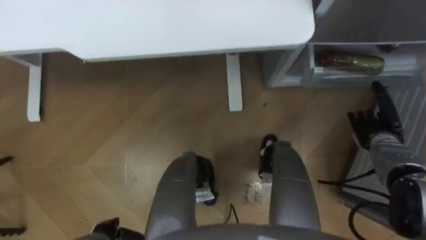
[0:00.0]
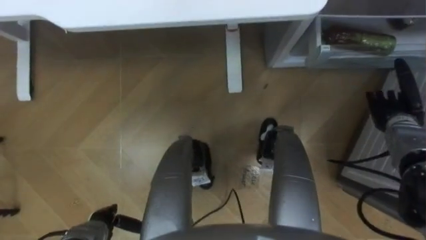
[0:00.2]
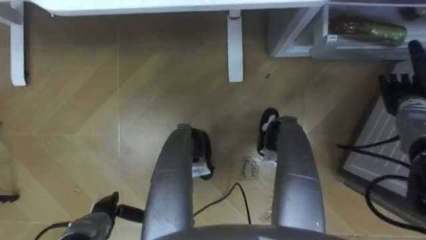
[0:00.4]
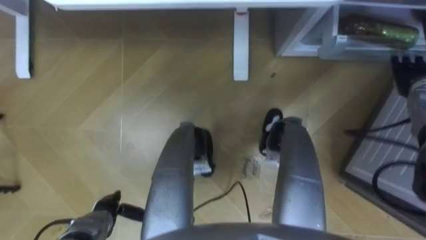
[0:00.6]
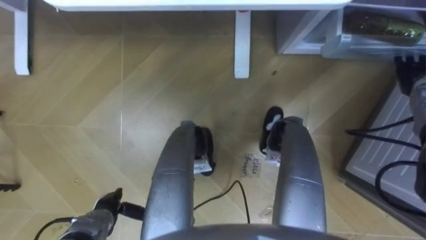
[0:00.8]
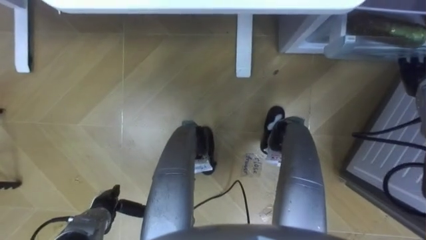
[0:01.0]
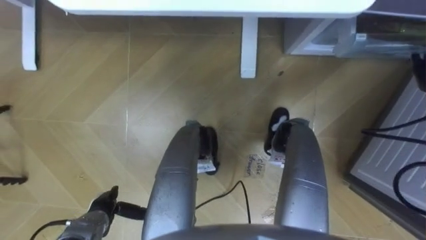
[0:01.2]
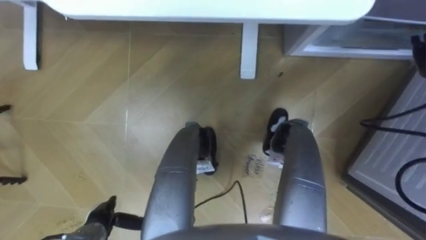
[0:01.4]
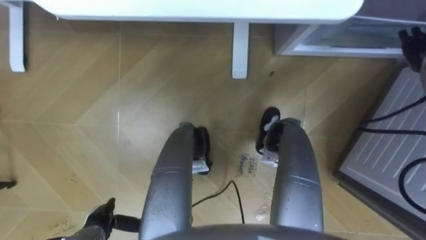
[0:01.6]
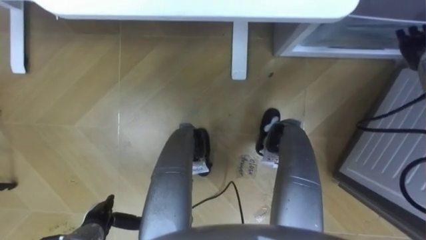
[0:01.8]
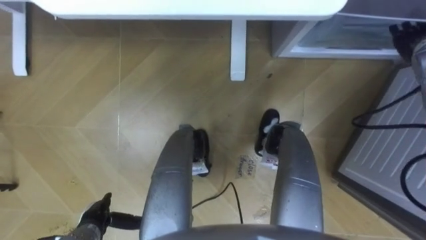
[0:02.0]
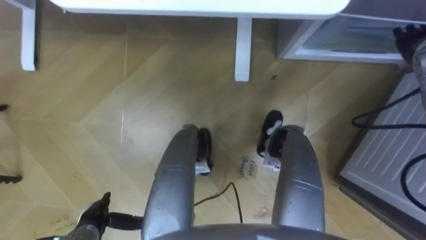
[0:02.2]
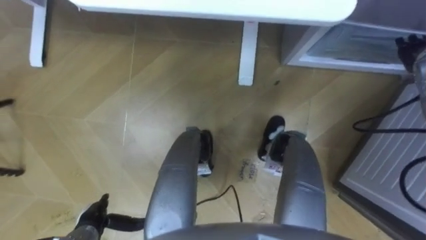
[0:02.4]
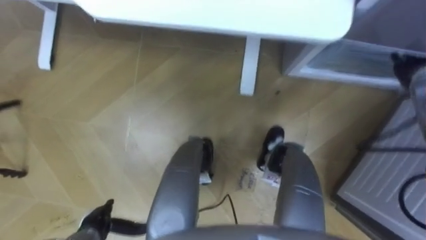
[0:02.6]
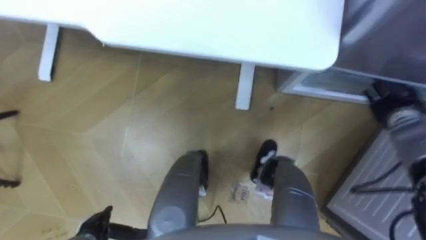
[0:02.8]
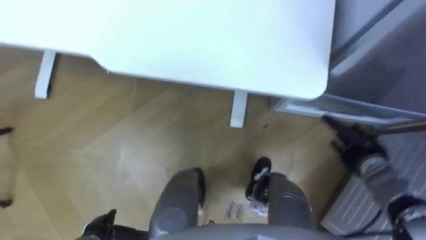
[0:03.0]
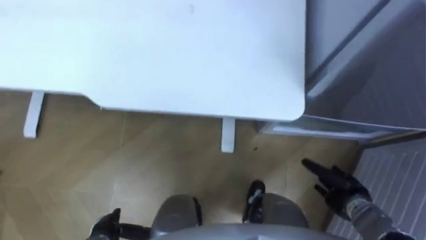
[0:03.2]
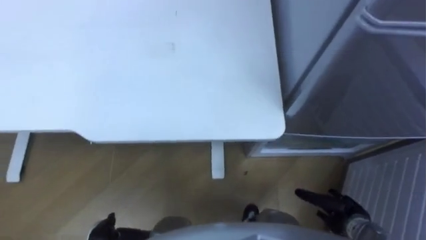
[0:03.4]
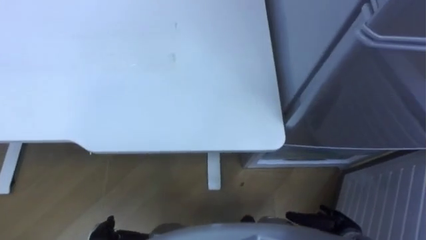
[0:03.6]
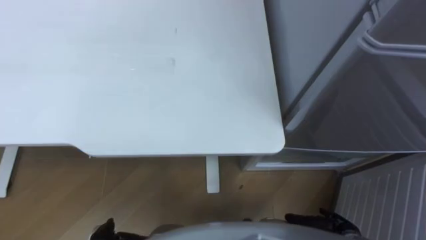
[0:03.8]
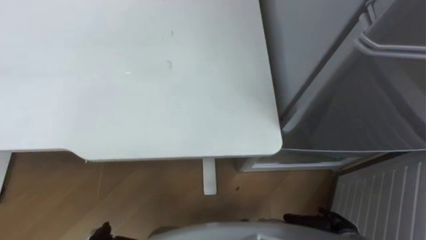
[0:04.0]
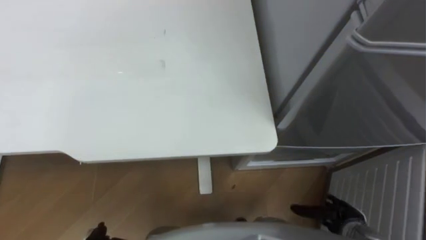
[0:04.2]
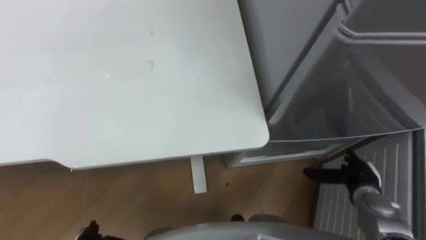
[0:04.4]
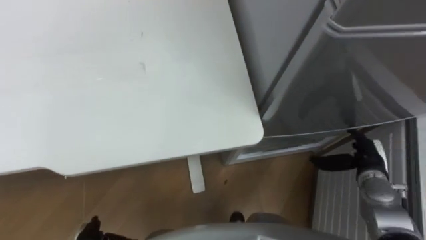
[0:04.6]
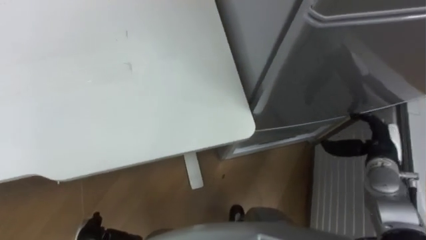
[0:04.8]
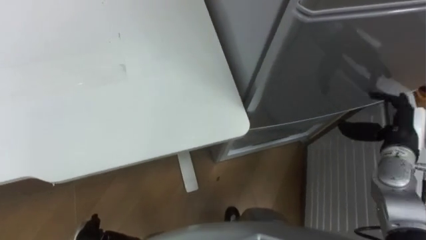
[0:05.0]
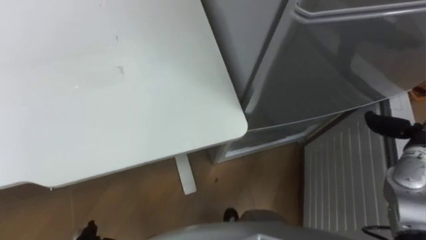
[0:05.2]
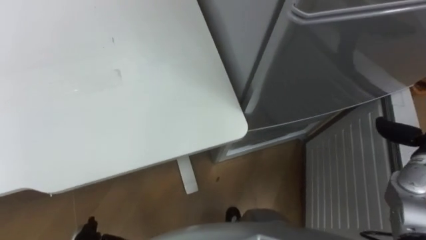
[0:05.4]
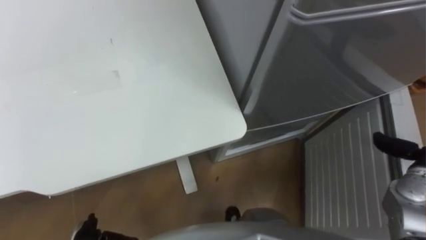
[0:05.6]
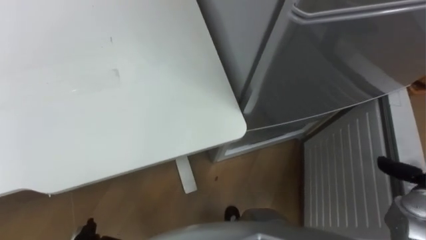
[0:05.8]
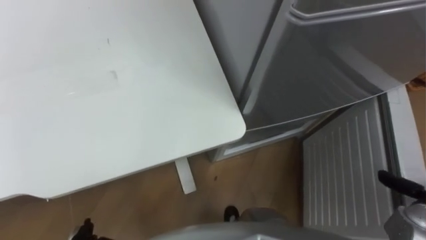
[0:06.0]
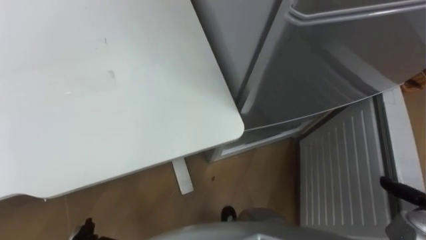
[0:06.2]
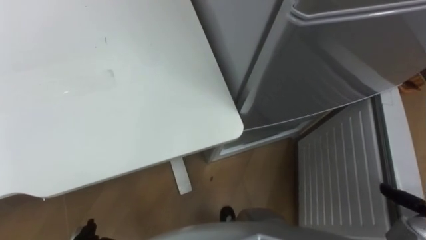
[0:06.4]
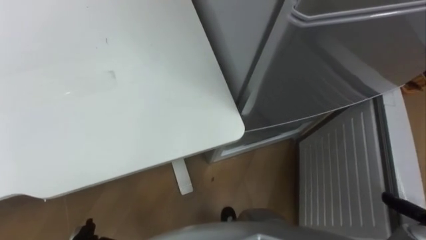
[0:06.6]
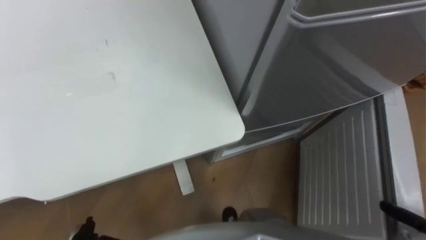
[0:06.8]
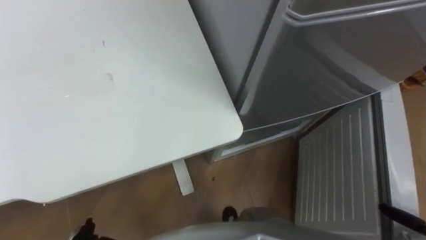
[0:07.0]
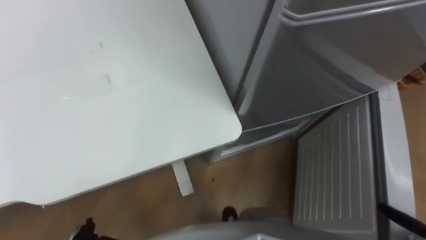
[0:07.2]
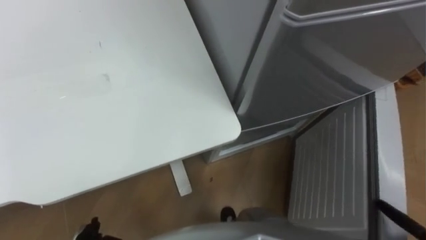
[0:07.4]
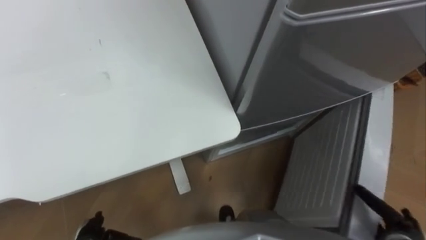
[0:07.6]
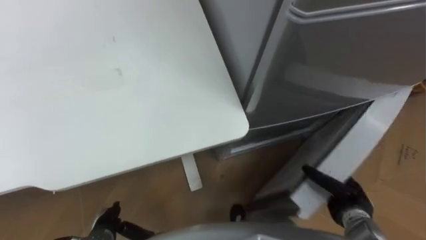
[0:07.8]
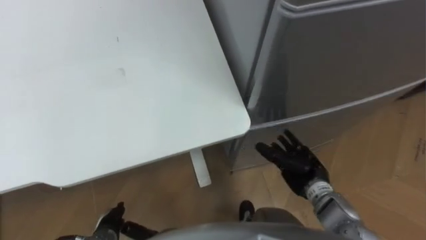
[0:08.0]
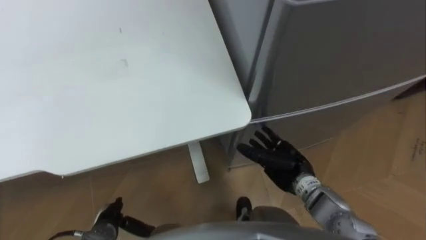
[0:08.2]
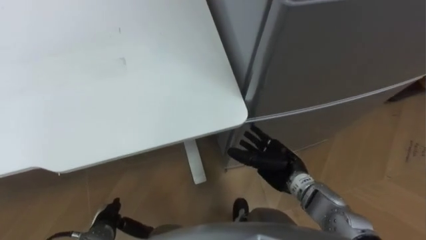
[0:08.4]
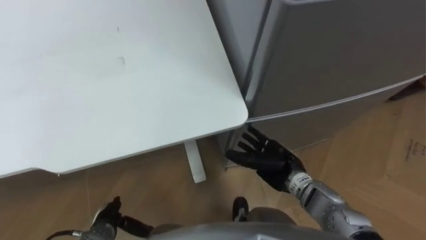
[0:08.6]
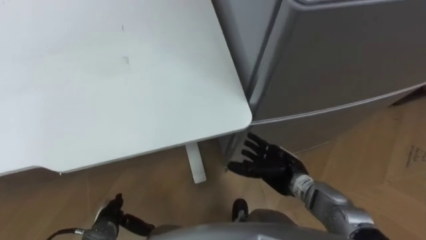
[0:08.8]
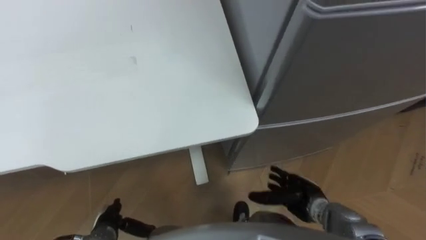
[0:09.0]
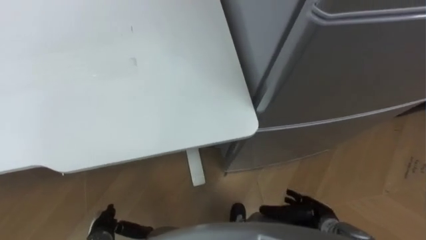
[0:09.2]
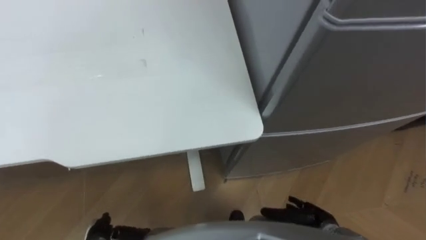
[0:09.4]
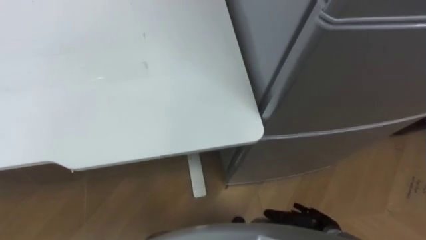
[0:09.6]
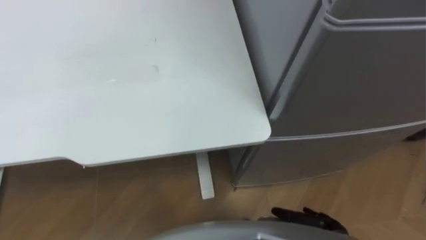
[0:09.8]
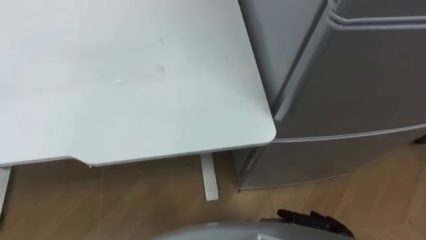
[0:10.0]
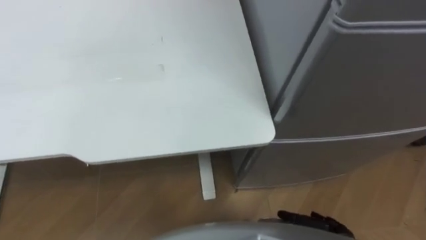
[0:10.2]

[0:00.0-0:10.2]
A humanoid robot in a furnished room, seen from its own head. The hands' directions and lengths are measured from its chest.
Task of the whole recording: Place the drink on the table on the bottom shelf of the refrigerator, then close the drawer and the refrigerator door.
0:03.0 to 0:04.4: The right hand shifts about 5 cm backward.
0:04.4 to 0:05.8: The right hand is displaced to the right and upward by some 15 cm.
0:08.8 to 0:10.2: The right hand heads backward, to the right and downward, covering some 20 cm.

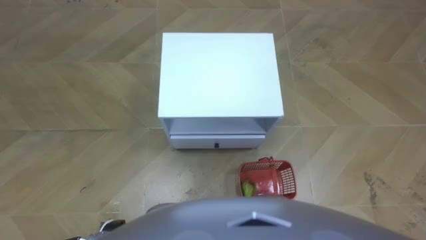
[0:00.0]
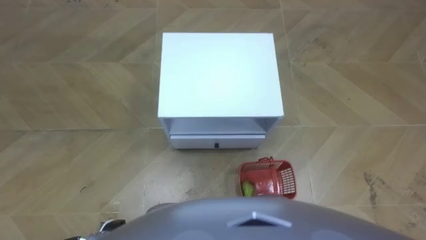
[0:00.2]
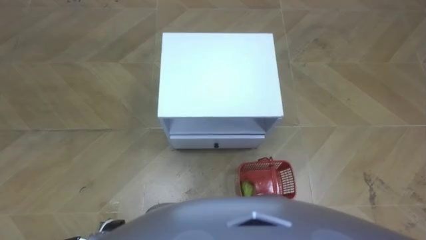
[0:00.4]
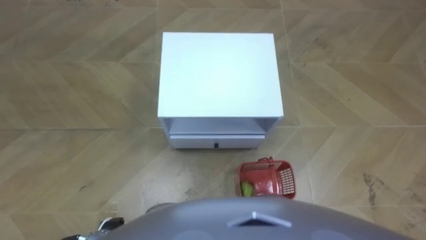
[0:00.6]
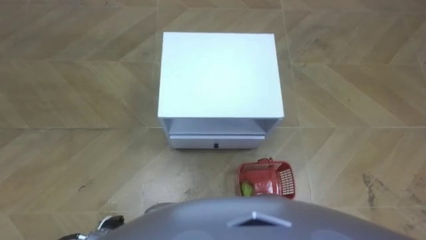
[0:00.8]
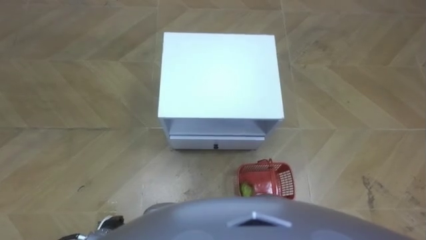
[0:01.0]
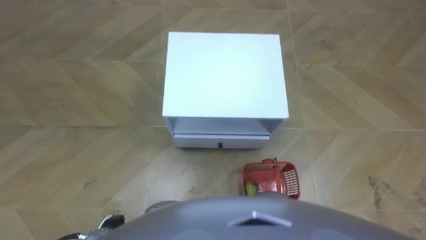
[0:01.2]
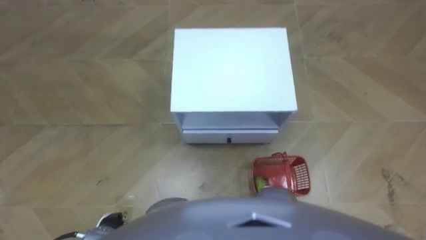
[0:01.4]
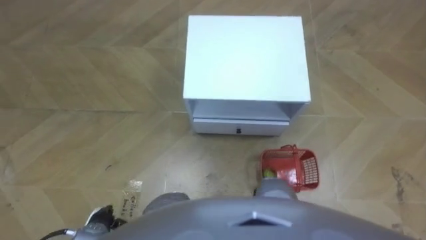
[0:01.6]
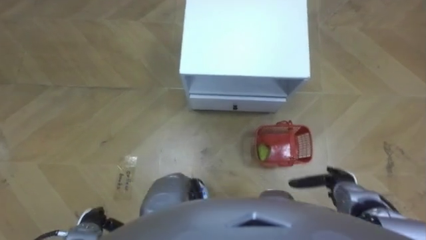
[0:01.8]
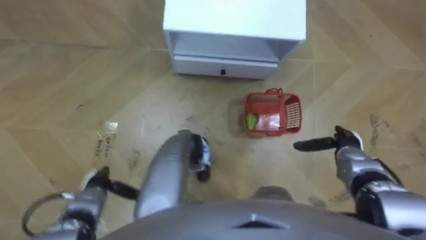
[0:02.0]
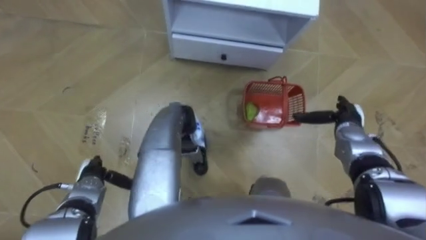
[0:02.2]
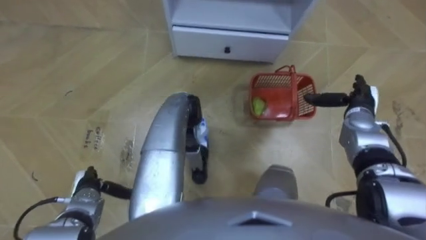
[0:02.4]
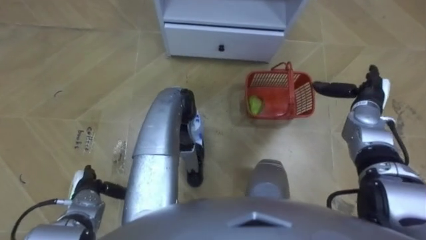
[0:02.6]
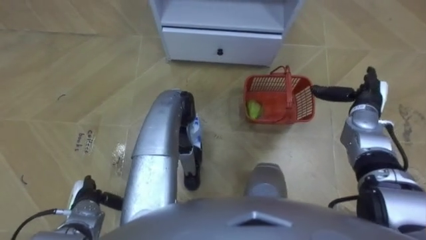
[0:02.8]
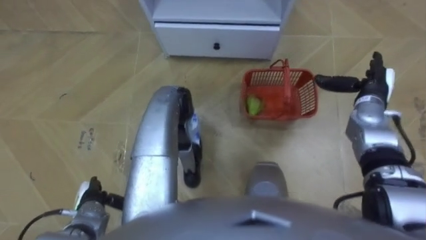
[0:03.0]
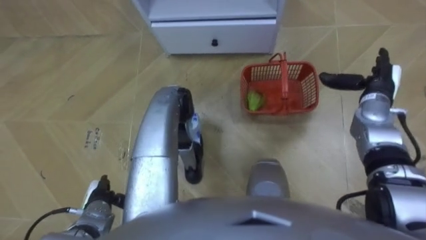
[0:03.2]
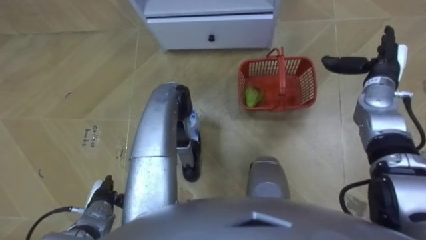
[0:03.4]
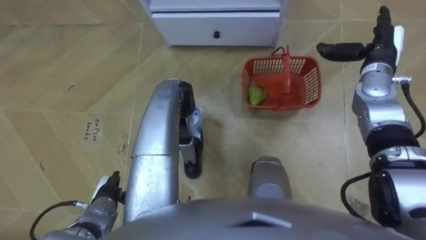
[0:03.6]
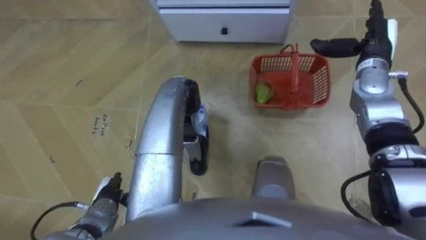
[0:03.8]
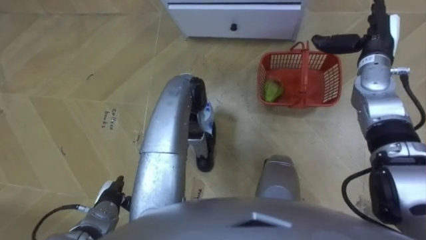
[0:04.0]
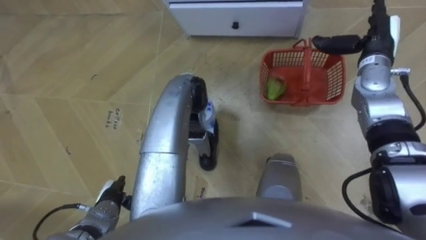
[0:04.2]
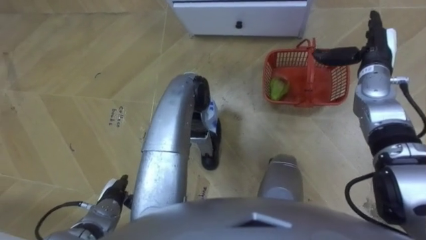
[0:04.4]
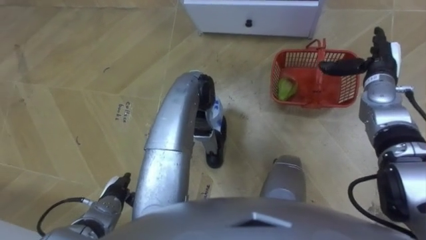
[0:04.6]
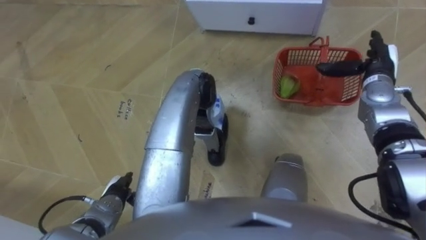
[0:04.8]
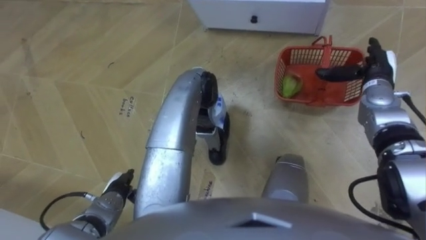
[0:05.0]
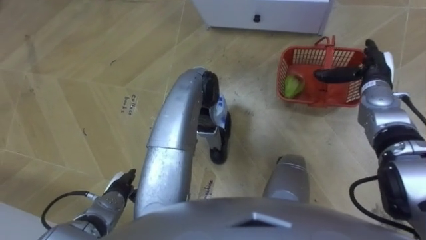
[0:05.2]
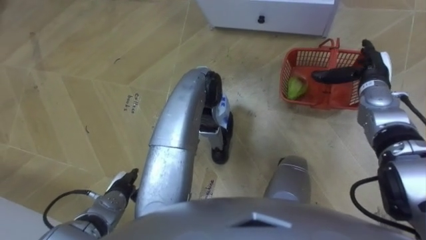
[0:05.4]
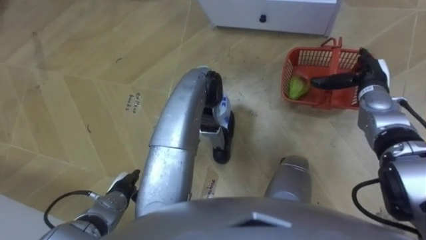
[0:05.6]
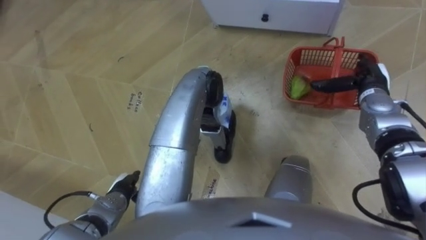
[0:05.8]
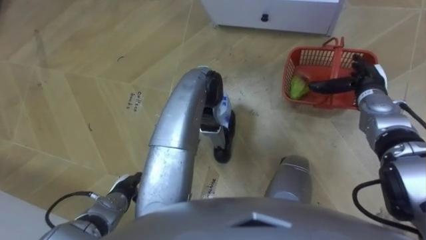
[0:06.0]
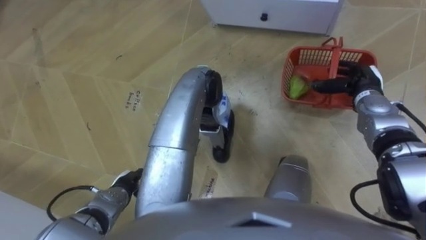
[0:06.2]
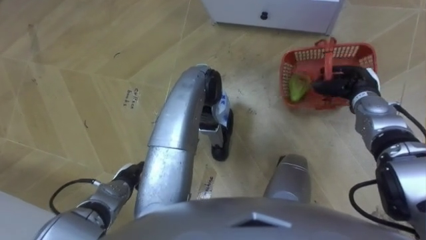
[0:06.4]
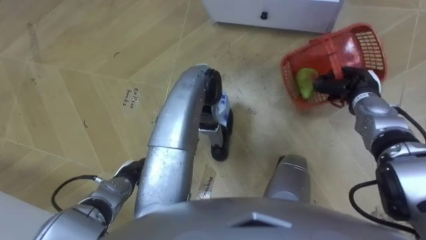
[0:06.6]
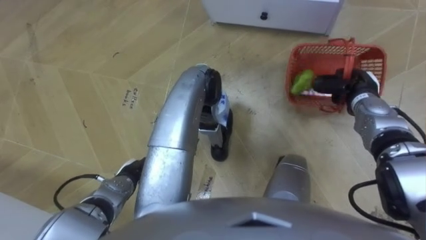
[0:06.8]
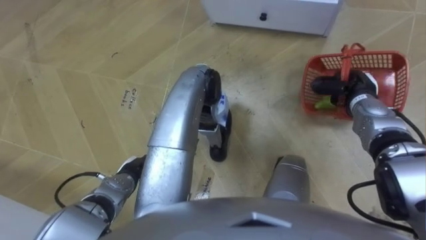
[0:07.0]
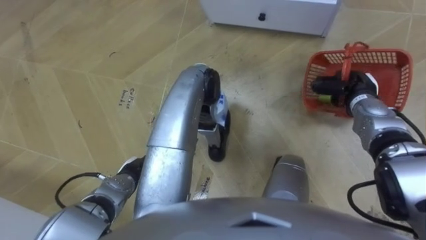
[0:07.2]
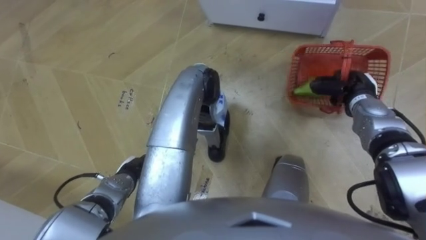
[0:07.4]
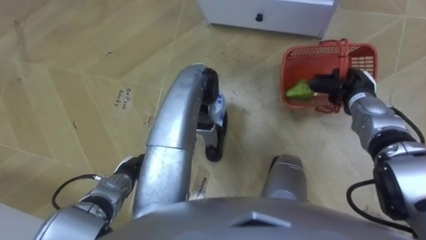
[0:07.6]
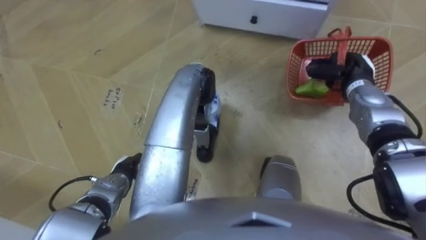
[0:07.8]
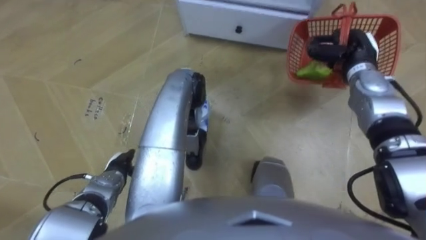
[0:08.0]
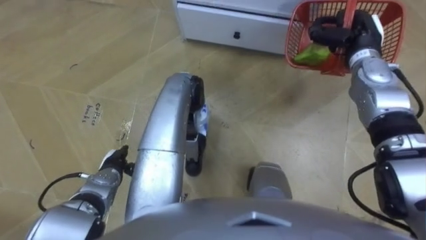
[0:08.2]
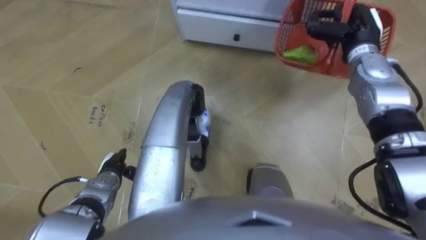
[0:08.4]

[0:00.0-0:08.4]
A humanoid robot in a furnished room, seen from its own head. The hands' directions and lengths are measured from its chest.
Task of the whole recording: Pick up the fruit basket from the floor and place it on the cabinet.
0:01.4 to 0:02.8: The left hand goes approximately 10 cm forward and to the left. Meanwhile the right hand is displaced forward and upward by approximately 30 cm.
0:02.8 to 0:04.2: The left hand heads to the right, covering some 5 cm; the right hand is displaced upward and forward by approximately 10 cm.
0:04.2 to 0:05.6: The right hand goes approximately 5 cm downward.
0:05.6 to 0:07.0: The right hand closes.
0:07.0 to 0:08.4: The right hand is displaced upward and forward by approximately 15 cm.
